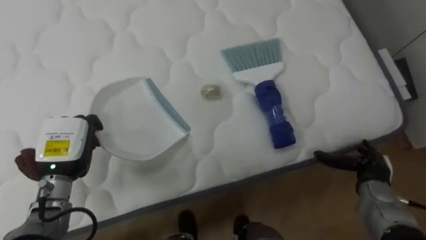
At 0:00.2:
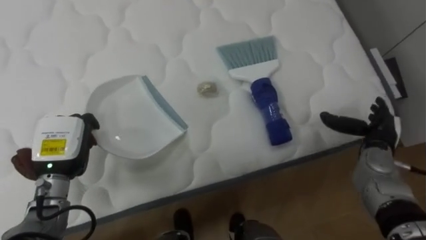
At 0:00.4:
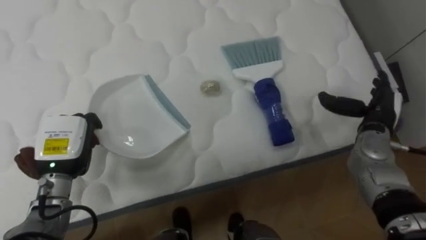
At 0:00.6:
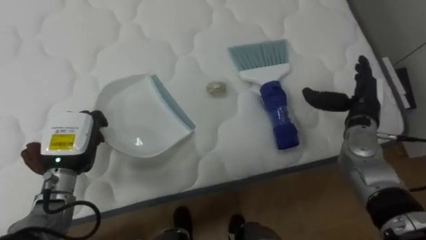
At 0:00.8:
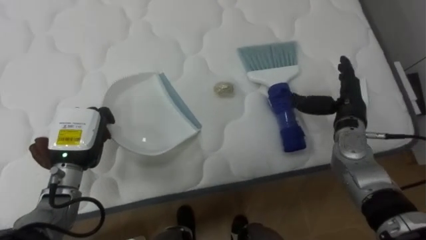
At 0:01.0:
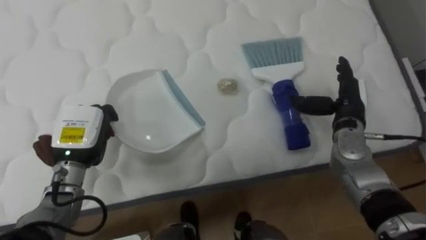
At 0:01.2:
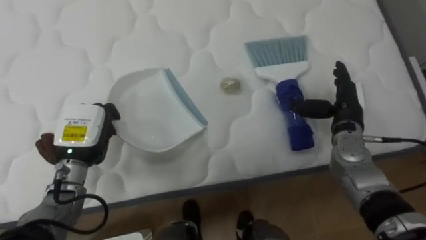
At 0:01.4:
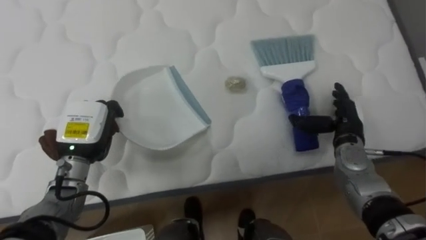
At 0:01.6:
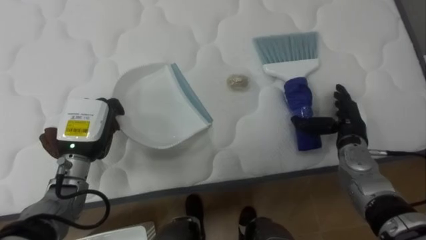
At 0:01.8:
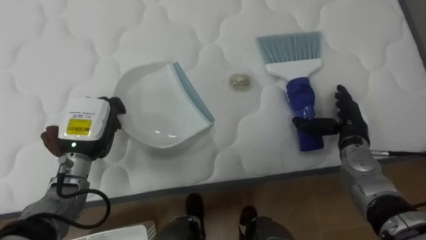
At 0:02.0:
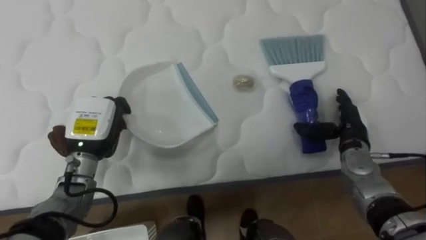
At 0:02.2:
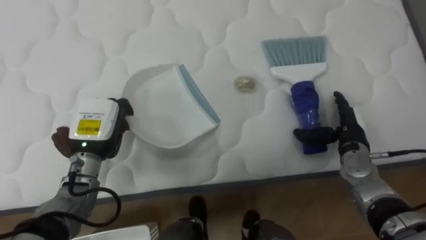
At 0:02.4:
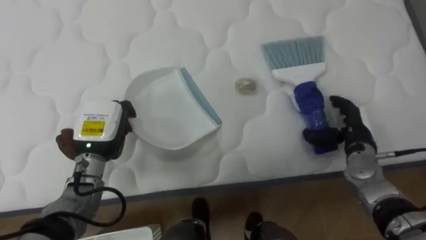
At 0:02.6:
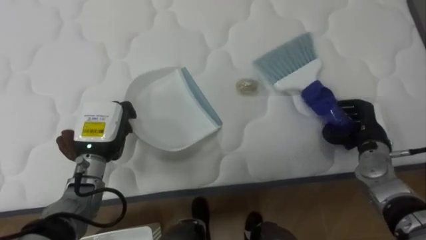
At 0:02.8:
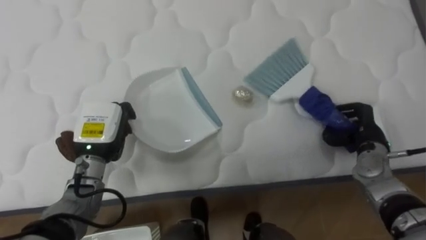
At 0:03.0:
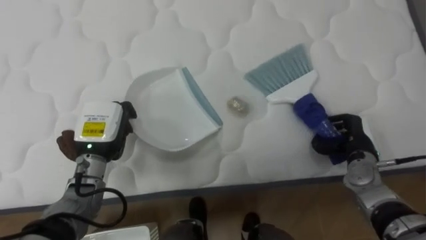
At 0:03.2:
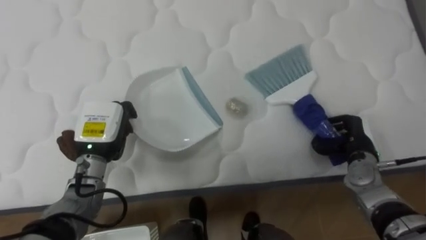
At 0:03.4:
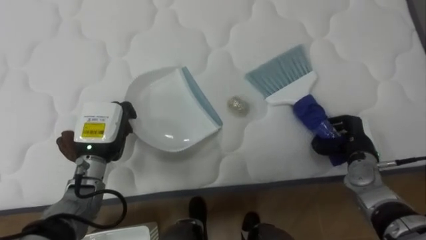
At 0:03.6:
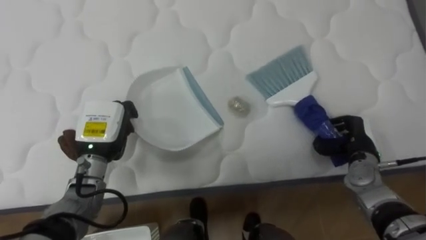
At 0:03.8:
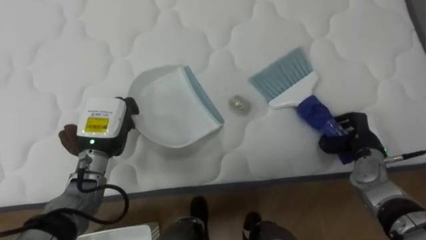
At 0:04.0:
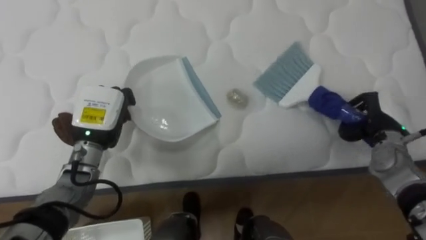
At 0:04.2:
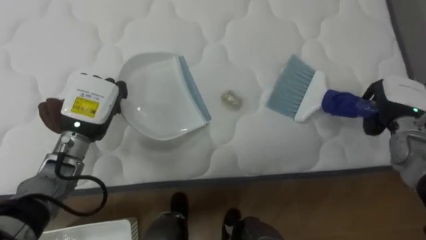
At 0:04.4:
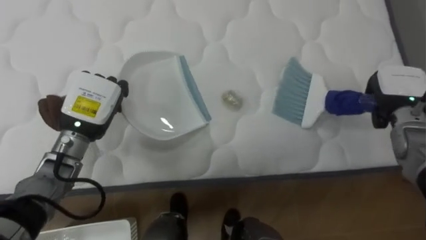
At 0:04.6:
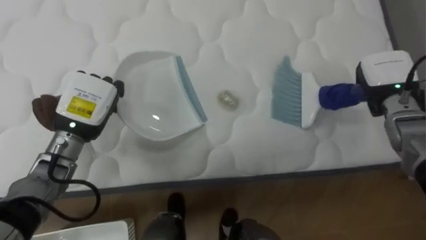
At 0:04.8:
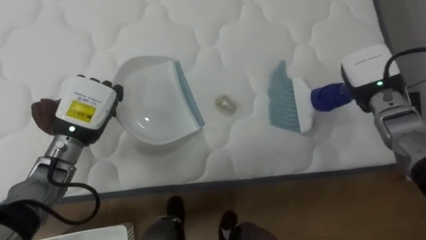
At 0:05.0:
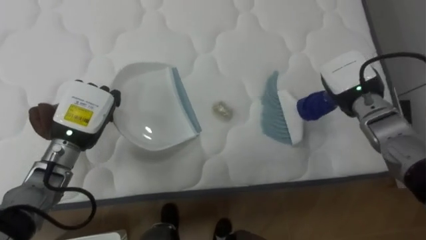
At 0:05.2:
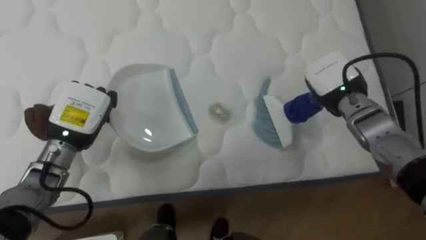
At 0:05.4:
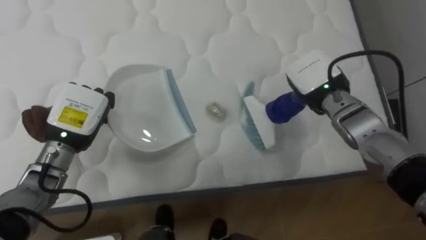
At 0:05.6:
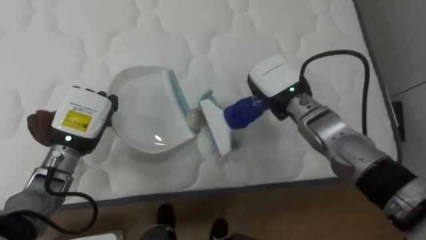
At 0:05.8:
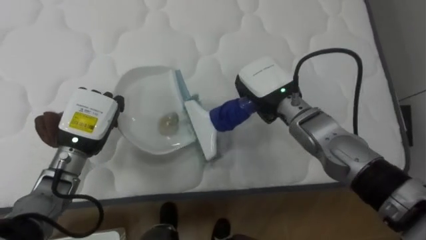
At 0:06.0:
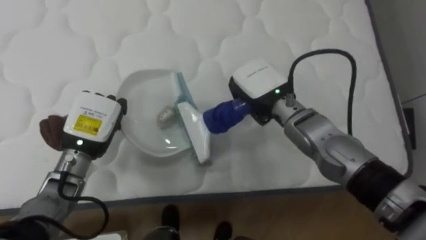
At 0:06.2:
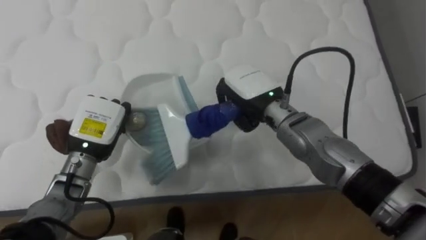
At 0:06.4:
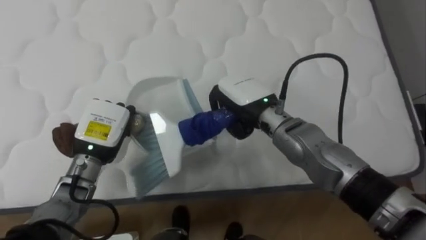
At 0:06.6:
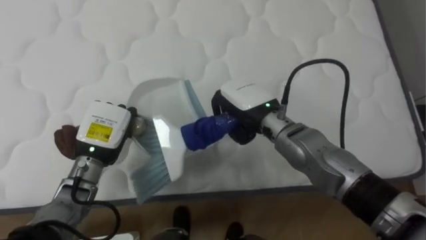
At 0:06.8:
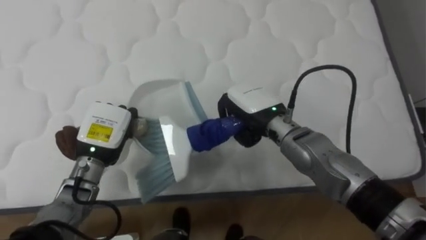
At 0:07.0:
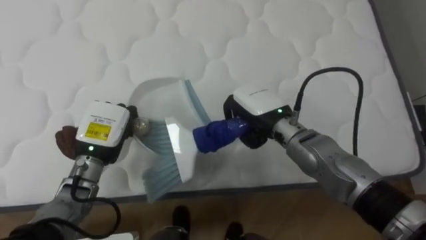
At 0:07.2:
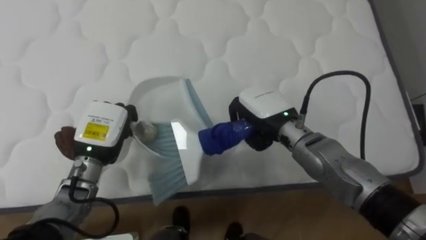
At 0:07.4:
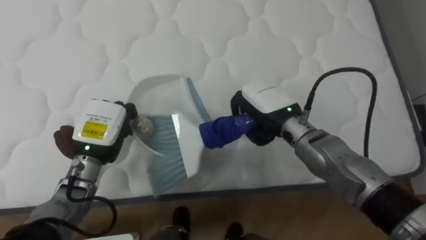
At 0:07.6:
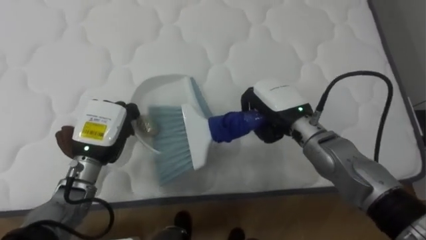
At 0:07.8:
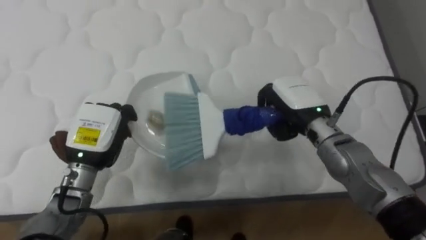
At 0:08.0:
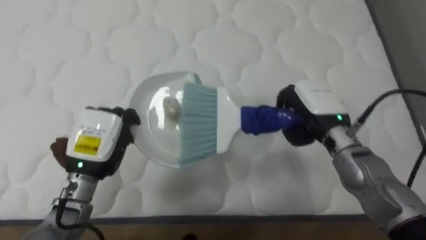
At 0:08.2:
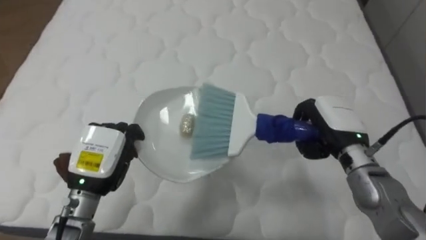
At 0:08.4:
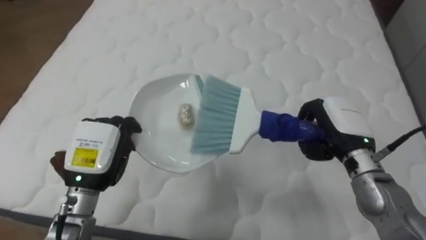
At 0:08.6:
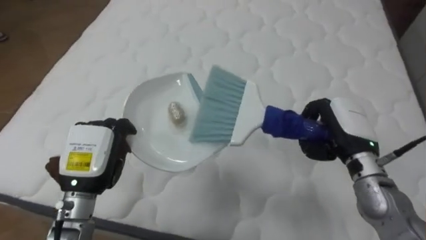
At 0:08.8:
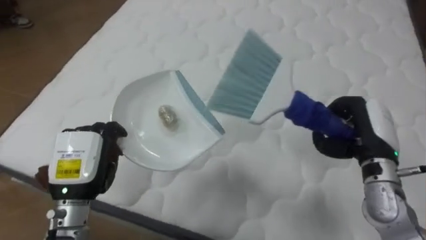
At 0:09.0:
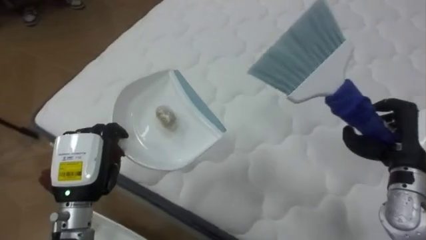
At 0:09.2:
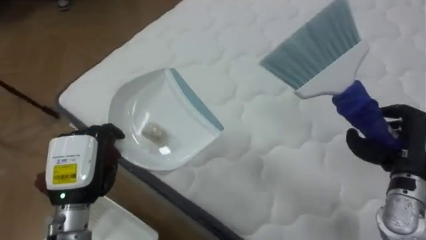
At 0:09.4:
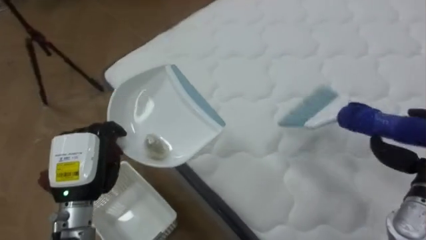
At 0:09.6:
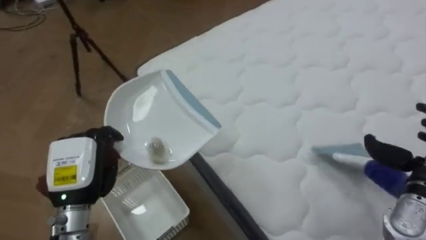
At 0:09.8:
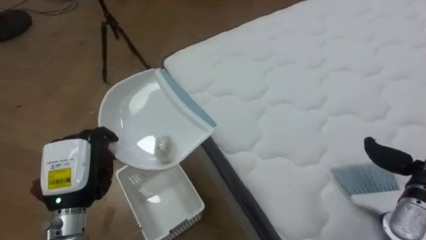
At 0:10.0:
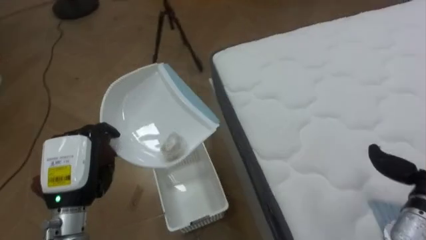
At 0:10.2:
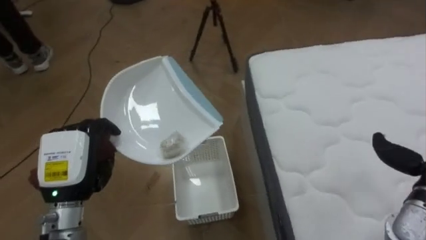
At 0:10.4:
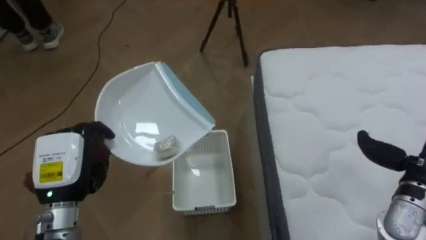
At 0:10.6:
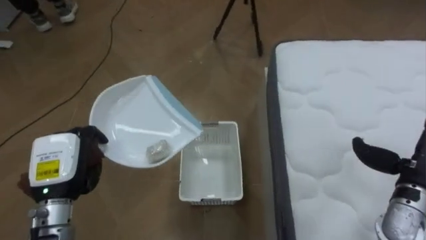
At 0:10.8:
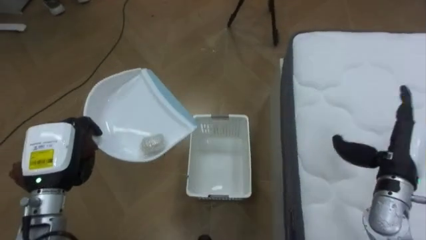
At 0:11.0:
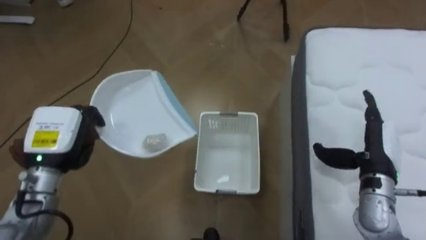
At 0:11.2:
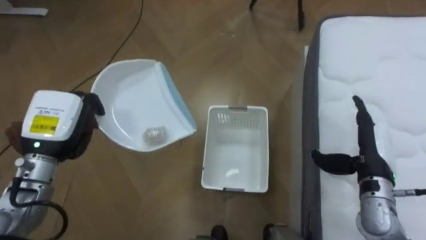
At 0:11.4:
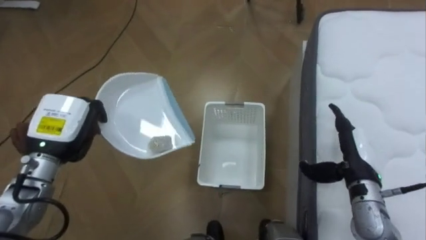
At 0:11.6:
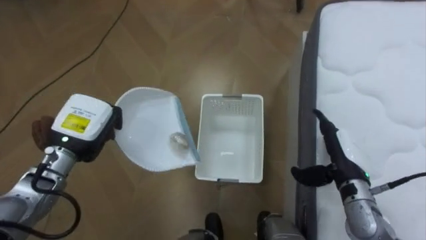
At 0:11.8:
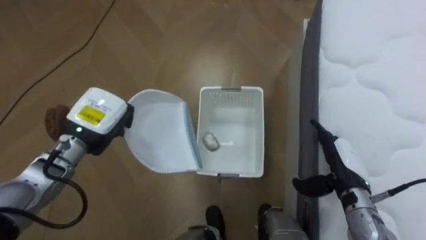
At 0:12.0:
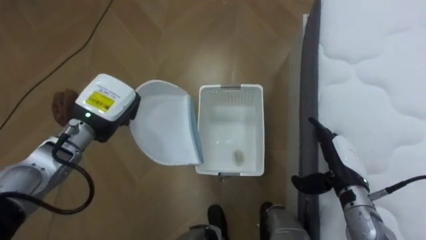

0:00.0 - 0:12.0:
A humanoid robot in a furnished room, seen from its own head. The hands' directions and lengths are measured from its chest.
Task of the whole recording: Pick up the brush on your right and the dustpan on your left. Use the brush to sweep the crumpled paper on the bed into the dustpan, then turn left and empty it into the basket.
0:00.0 - 0:01.6: The right hand shifts approximately 10 cm forward, upward and to the left; the left hand moves roughly 5 cm.
0:01.6 - 0:03.0: The right hand moves about 5 cm, and closes up.
0:03.0 - 0:04.4: The left hand heads upward, covering approximately 5 cm; the right hand shifts about 10 cm upward and forward.
0:04.4 - 0:06.0: The right hand shifts approximately 25 cm to the left.
0:07.6 - 0:09.0: The robot faces roughly 30 degrees further to its left. The left hand is displaced backward by some 10 cm. The right hand moves to the right and backward, some 25 cm.
0:09.0 - 0:10.4: The robot turns to its left by some 65 degrees.
0:10.4 - 0:12.0: The left hand heads forward and to the right, covering some 10 cm.

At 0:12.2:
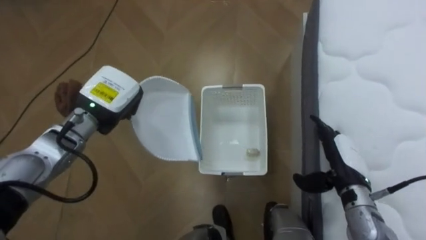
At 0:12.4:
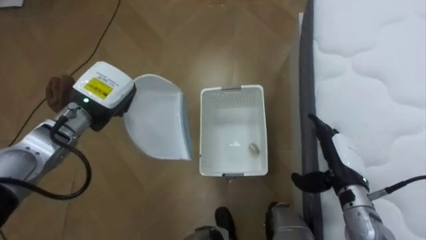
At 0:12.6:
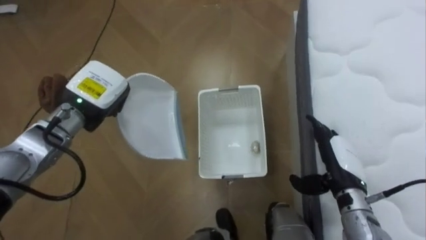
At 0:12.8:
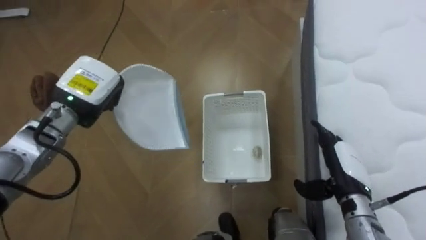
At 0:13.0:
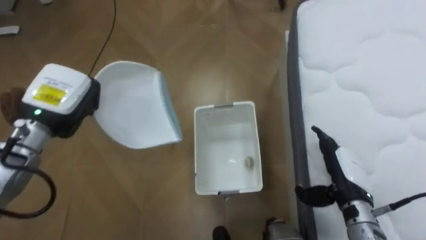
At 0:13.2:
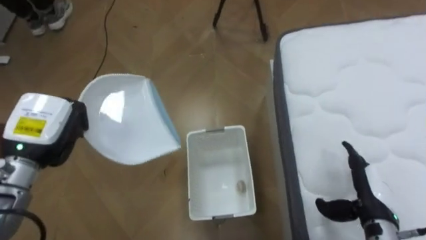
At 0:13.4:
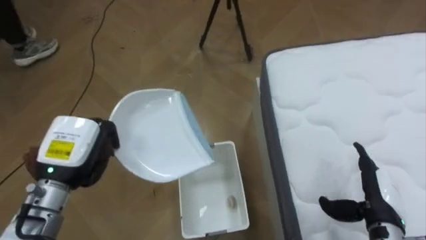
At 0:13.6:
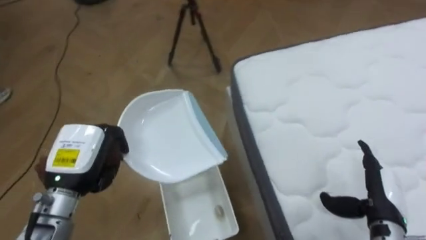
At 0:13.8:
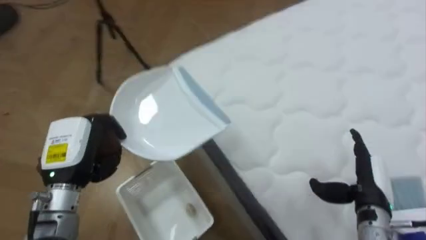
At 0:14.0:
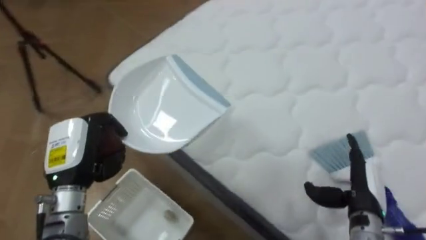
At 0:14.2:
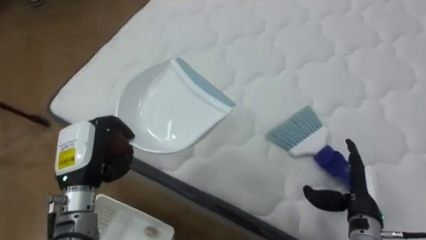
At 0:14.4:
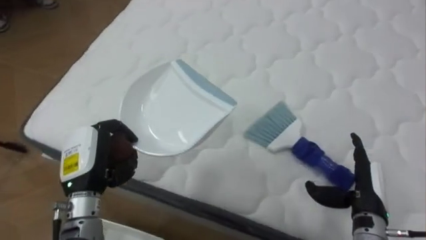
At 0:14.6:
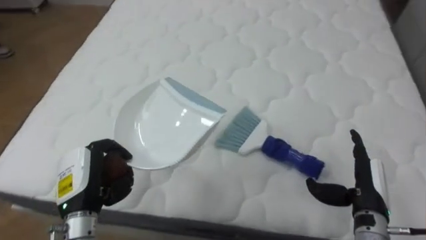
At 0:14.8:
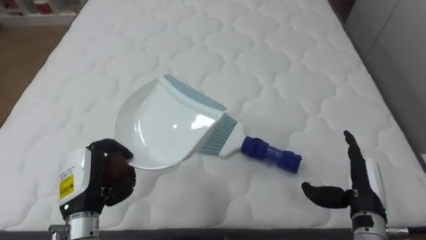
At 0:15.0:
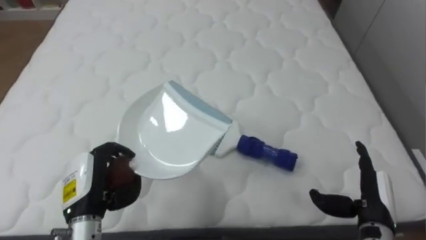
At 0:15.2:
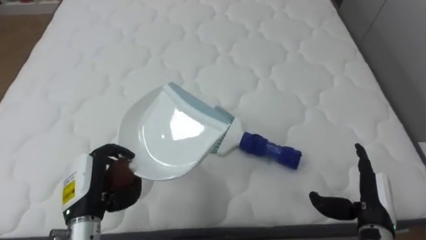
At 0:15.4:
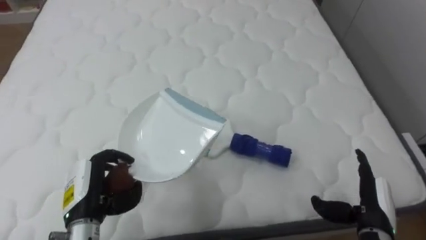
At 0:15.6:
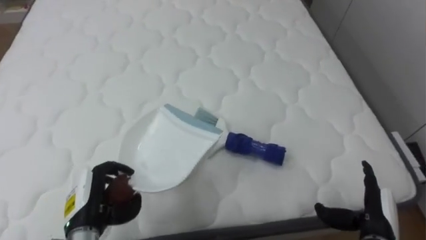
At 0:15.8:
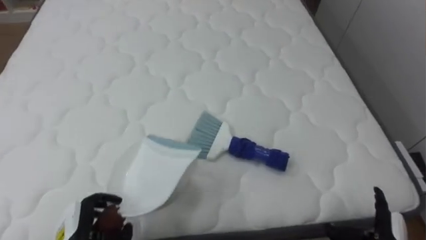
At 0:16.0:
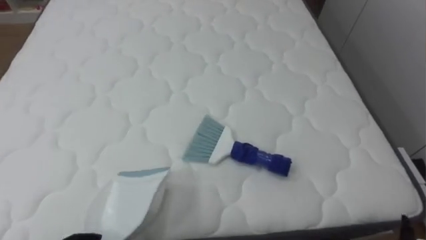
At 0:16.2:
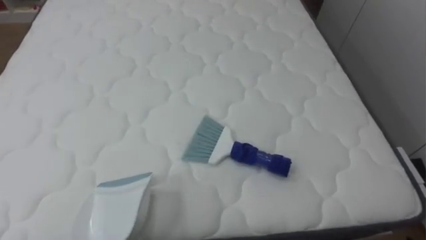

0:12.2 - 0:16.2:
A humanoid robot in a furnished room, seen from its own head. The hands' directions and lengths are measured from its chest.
Task of the whole recording: Pick up the brush on your right and the dustpan on your left. Use the brush to sweep the crumpled paper on the bed into the dustpan, then turn left and empty it into the basket.
0:12.2 - 0:13.6: The robot's body swings some 30 degrees to its right. The left hand heads backward, covering approximately 10 cm, while the right hand travels backward and to the right by approximately 10 cm.
0:13.6 - 0:14.8: The robot's body swings about 80 degrees to its right. The left hand ends up some 5 cm from where it was.
